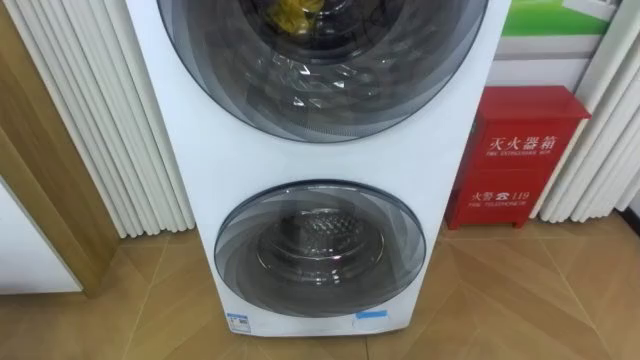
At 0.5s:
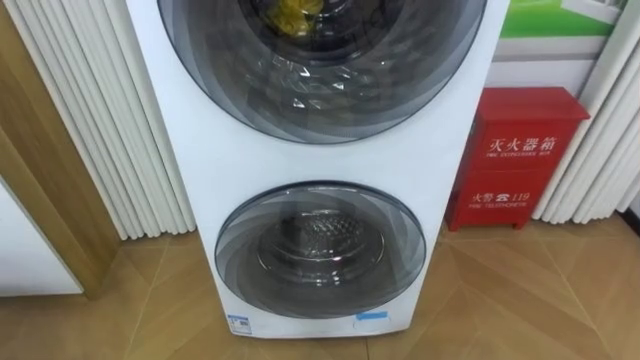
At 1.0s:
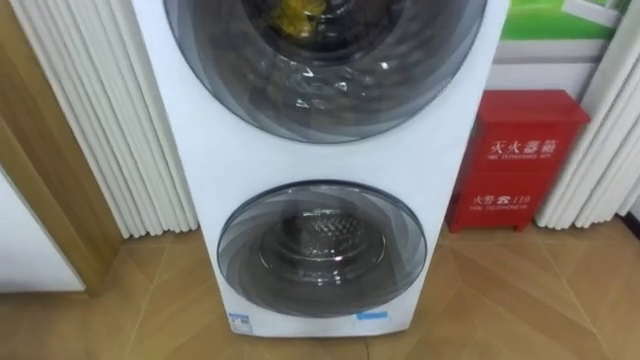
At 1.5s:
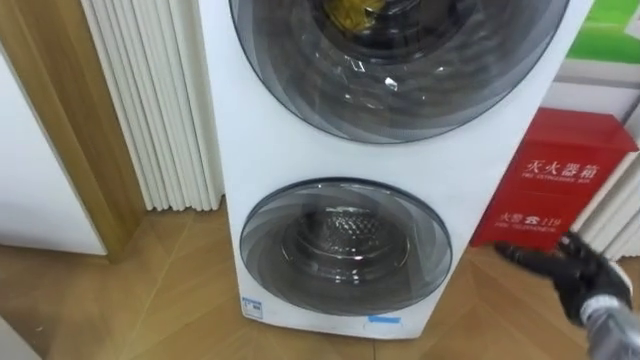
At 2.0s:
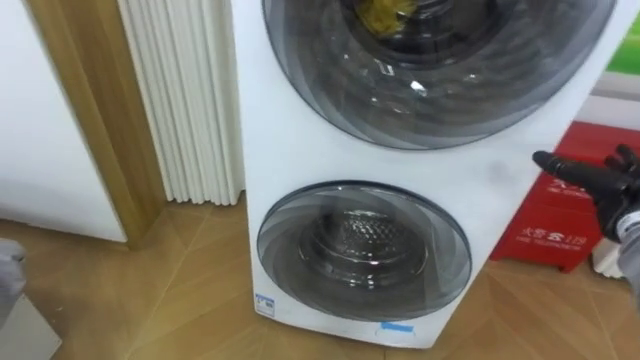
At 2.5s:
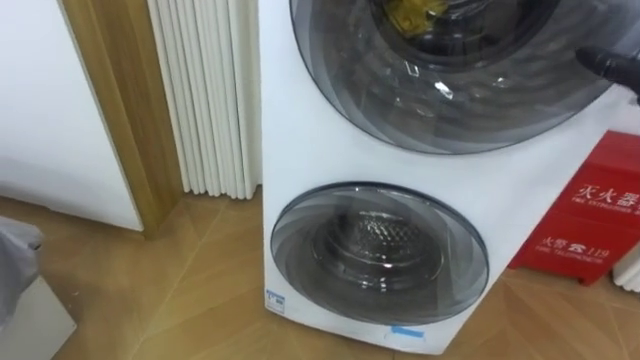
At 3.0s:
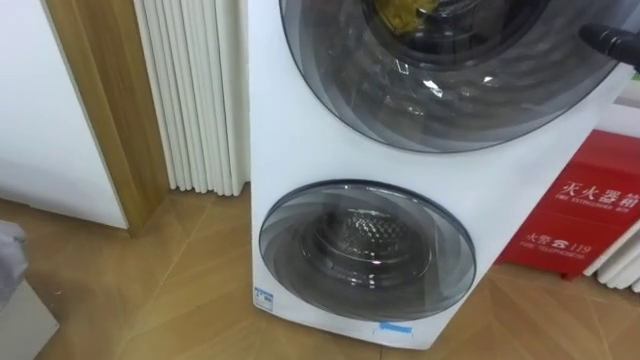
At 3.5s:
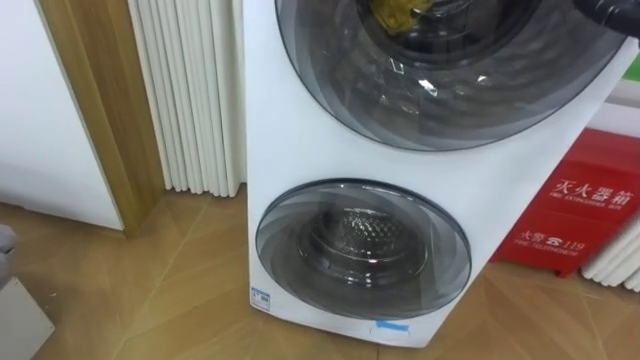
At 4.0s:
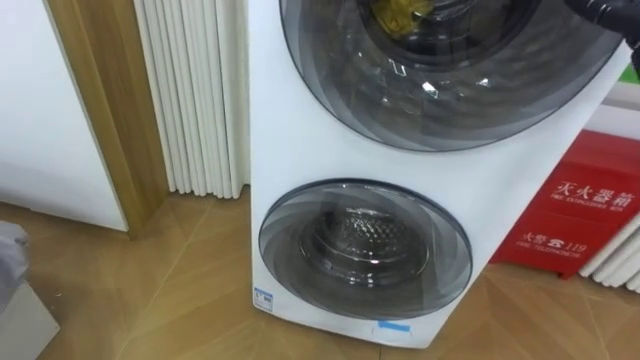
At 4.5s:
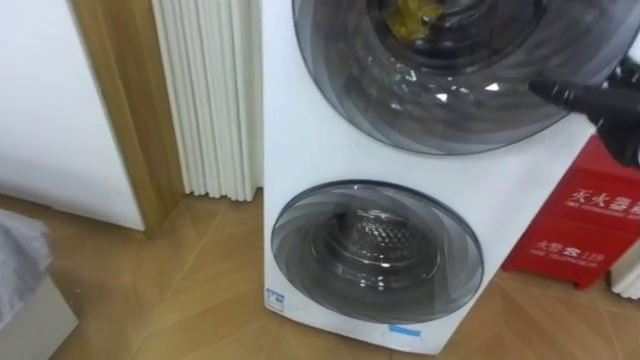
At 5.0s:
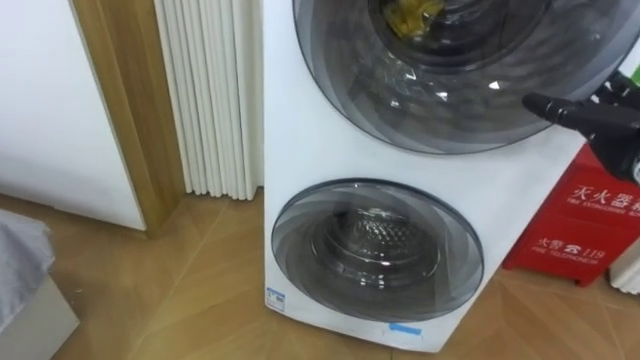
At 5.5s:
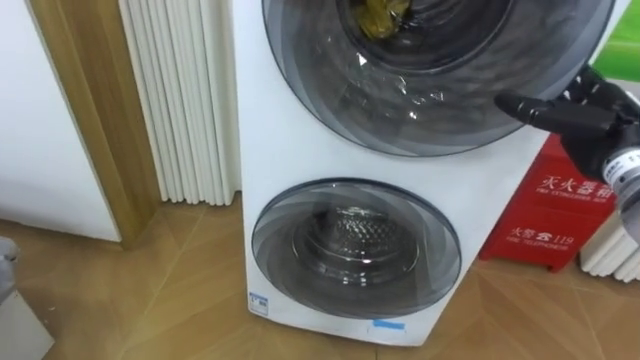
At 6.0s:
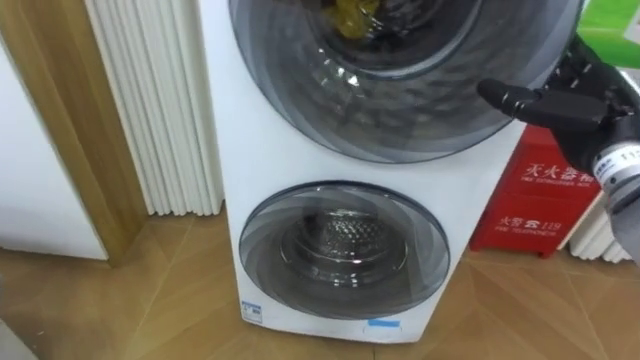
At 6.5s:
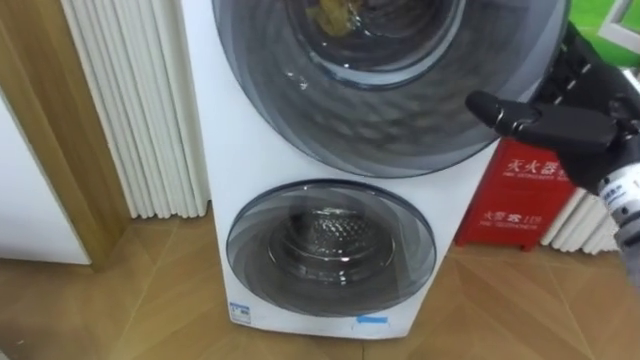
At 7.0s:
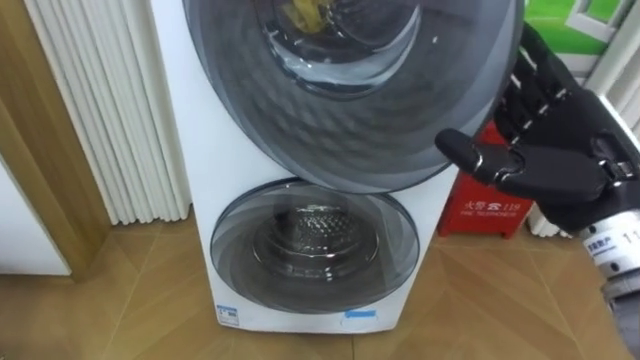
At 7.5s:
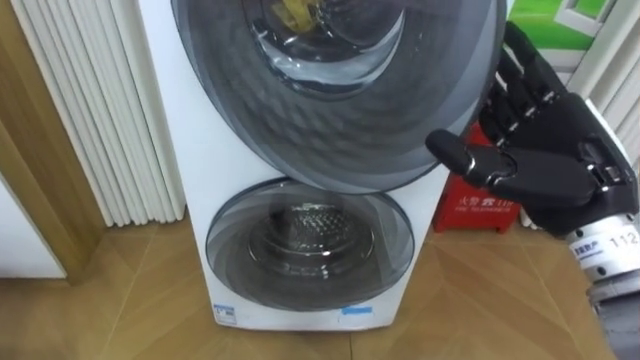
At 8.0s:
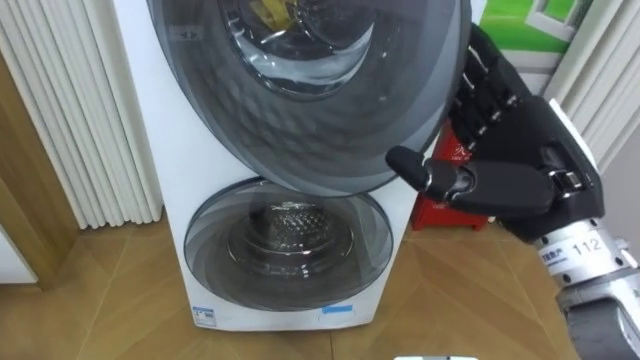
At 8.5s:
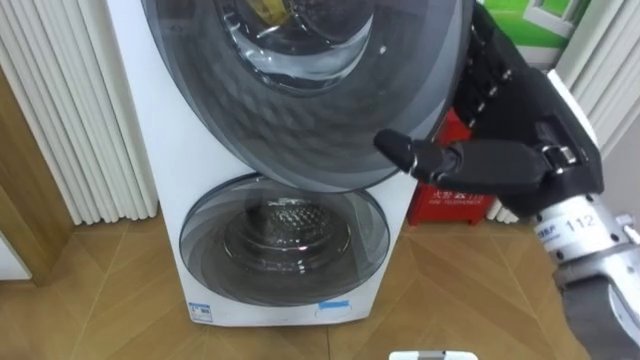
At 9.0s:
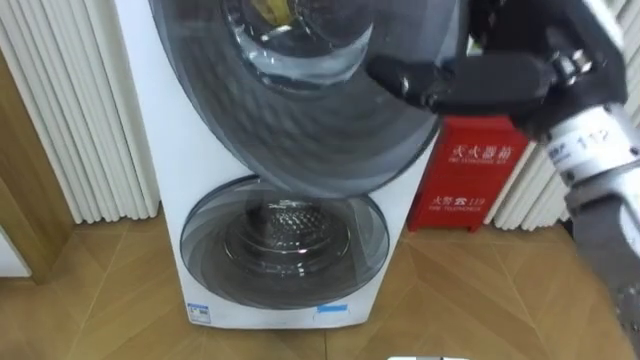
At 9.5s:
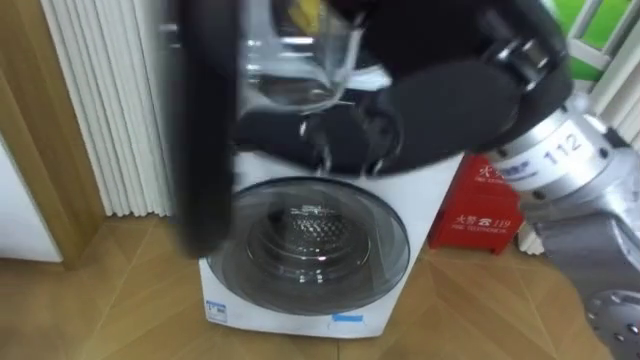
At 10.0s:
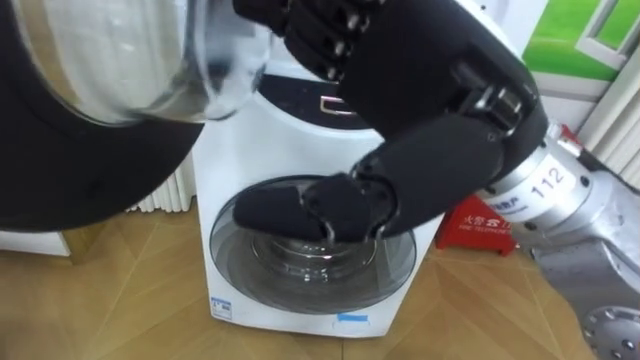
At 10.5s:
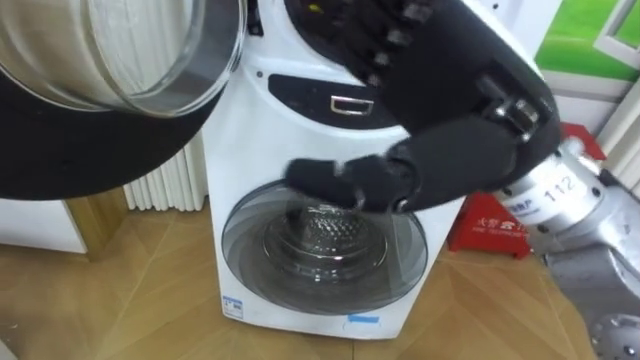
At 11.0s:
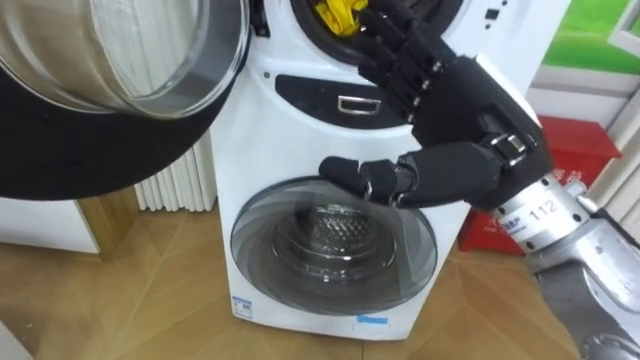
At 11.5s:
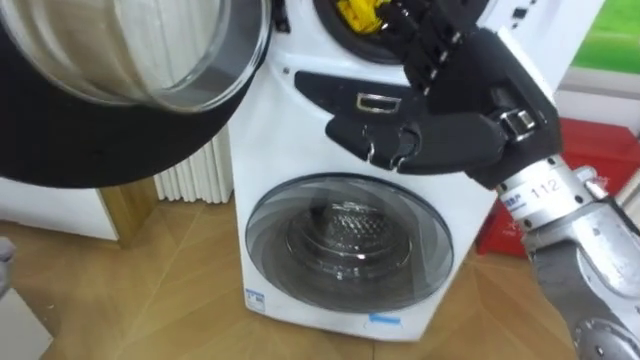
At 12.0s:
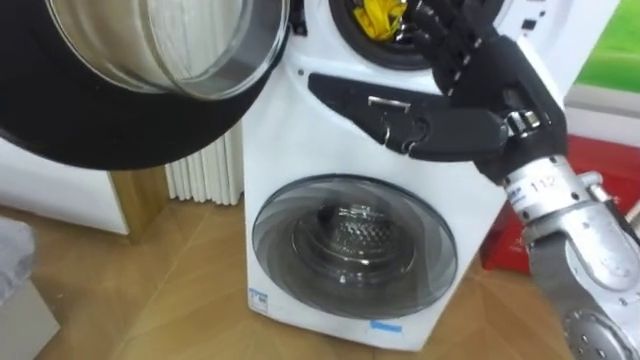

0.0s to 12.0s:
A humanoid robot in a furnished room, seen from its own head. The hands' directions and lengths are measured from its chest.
Task of the whole recording: Open the washing machine door, take out the yellow clothes, place them in the box on the right, and close the washing machine door.
6.0s to 8.0s: The right hand is displaced to the left and backward by roughly 15 cm.
8.0s to 10.0s: The right hand is displaced to the left, upward and backward by some 15 cm.
10.0s to 12.0s: The right hand travels to the right, forward and downward by about 15 cm.

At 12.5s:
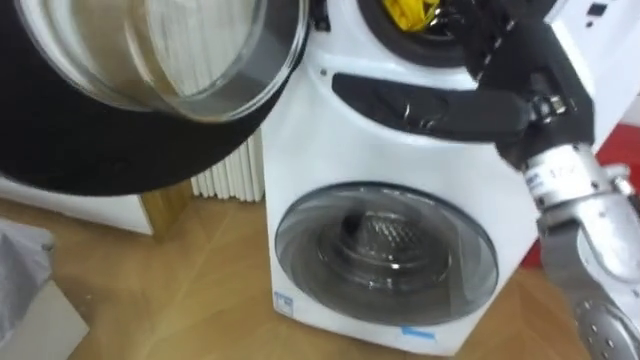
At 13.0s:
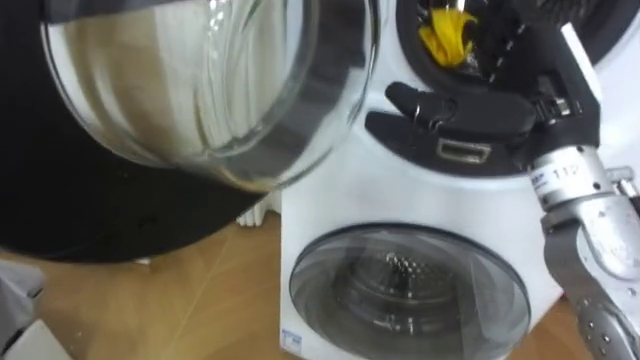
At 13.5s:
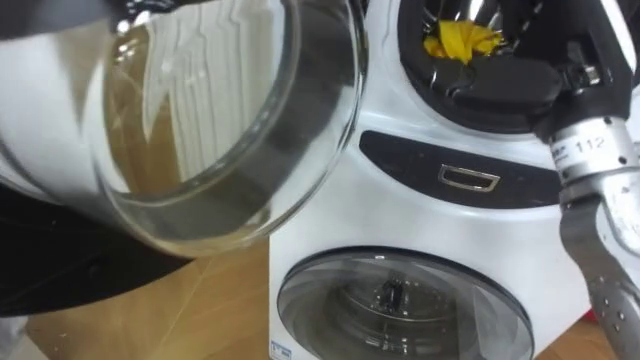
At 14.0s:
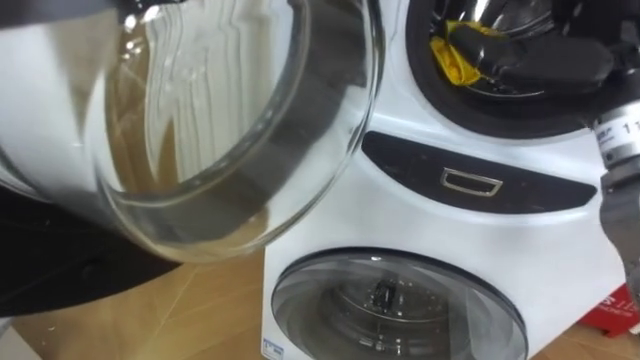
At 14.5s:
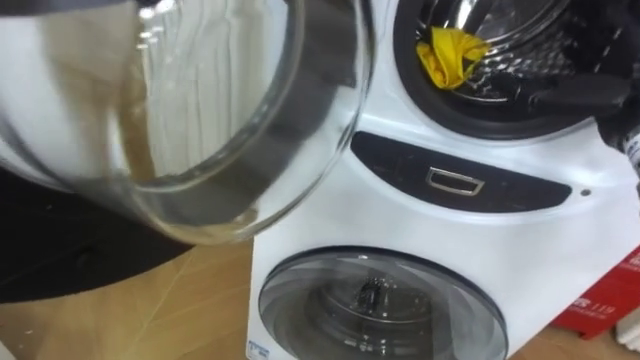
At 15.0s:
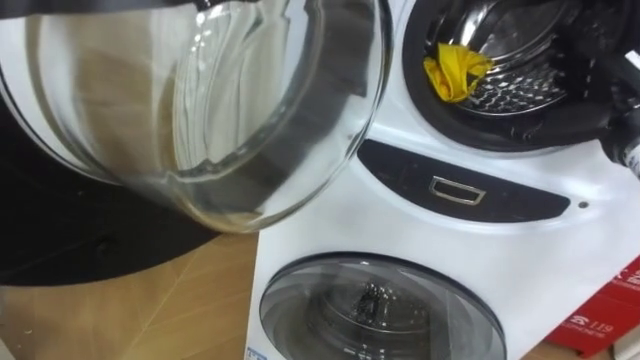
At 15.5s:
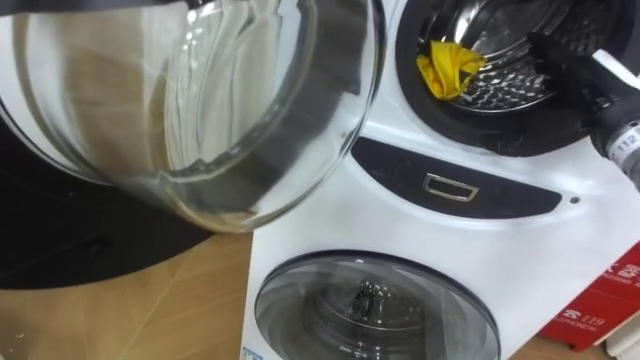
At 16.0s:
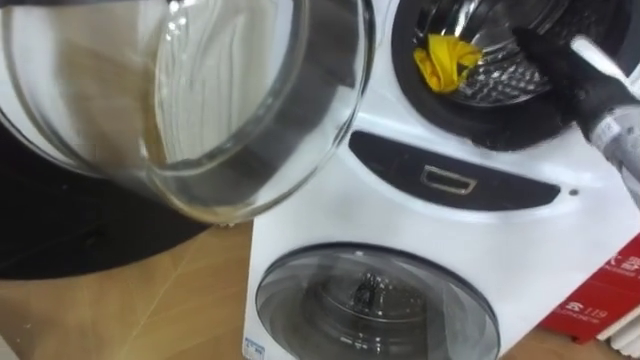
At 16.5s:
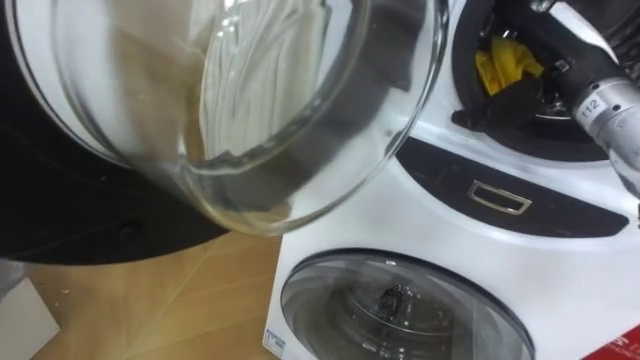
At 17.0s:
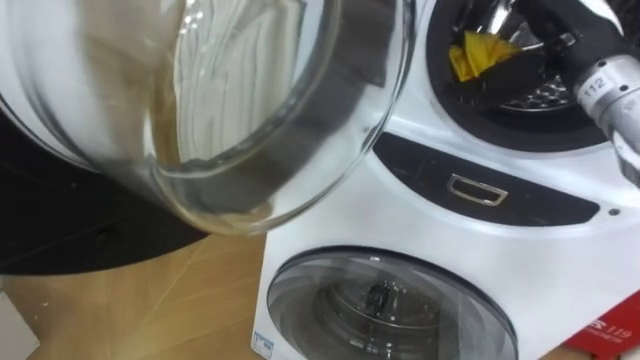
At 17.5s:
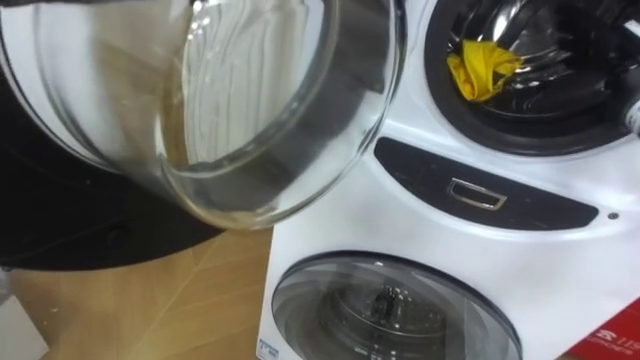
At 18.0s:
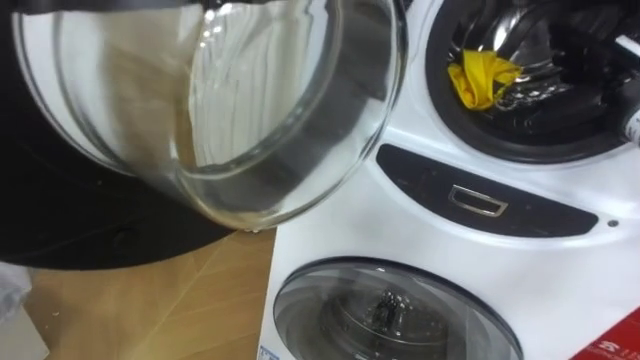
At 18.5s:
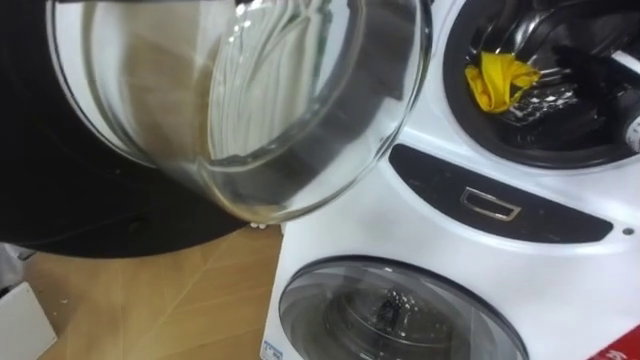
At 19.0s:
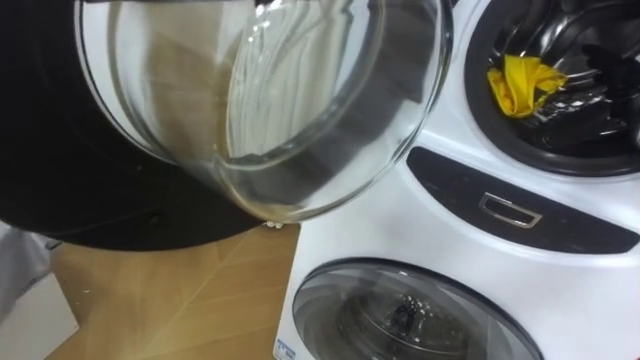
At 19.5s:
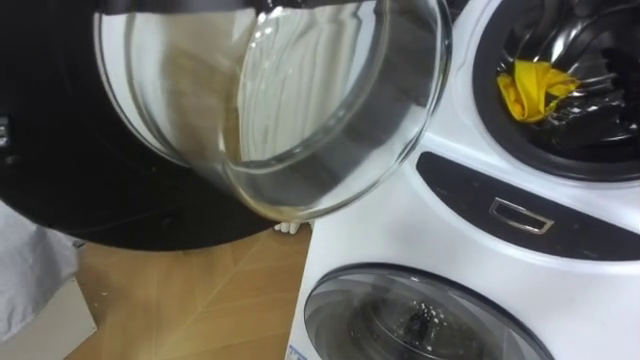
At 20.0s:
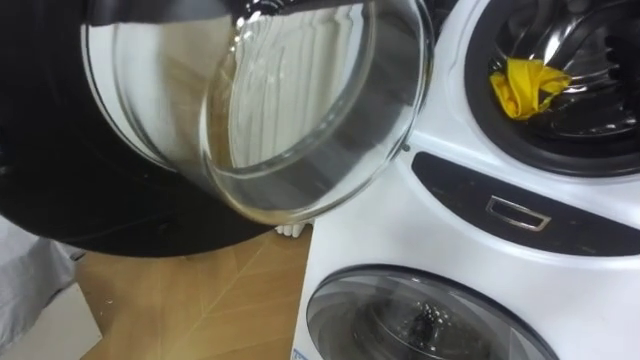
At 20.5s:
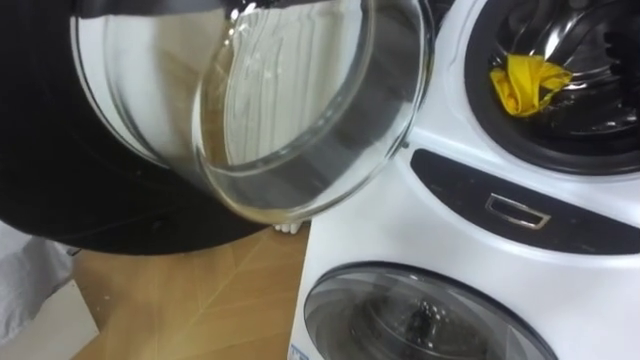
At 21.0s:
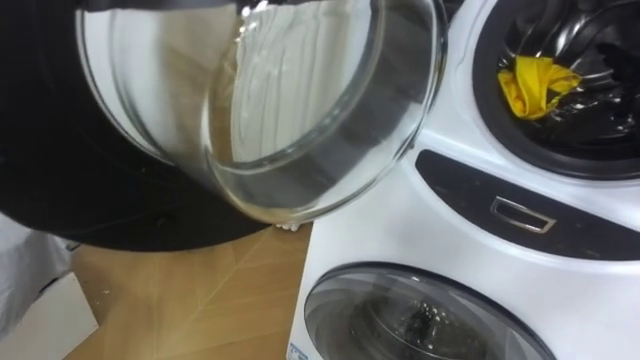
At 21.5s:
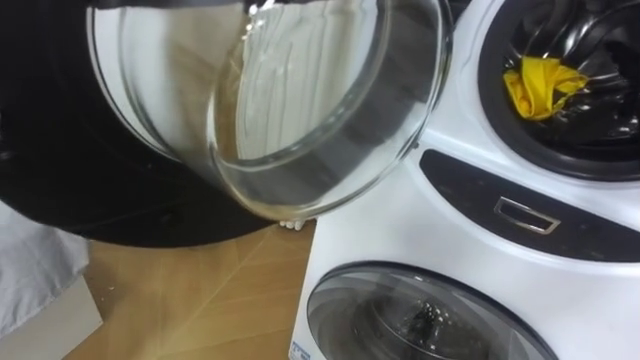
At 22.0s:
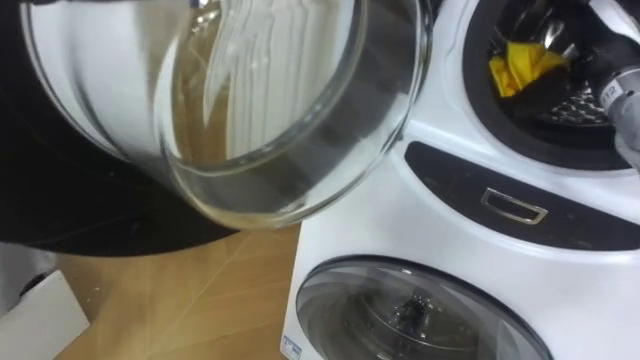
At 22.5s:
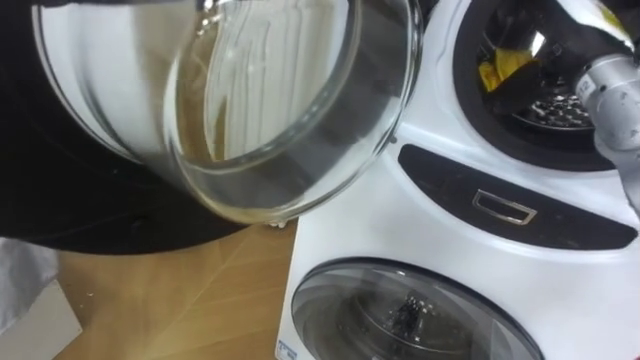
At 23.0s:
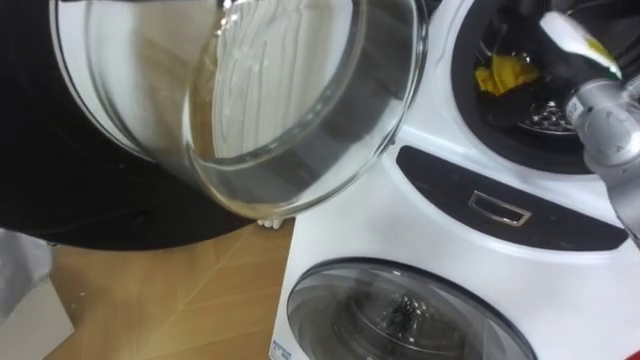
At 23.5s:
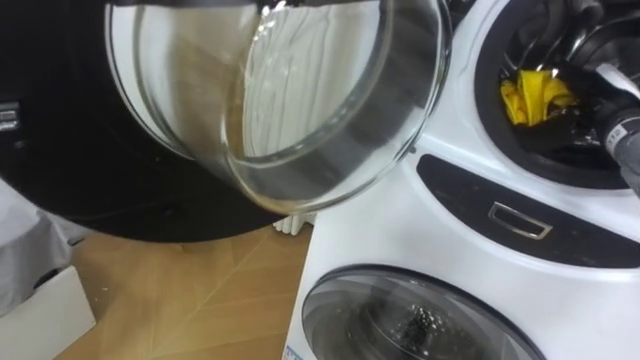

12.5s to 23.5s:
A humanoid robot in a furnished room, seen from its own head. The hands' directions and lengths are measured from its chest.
Task of the whole recording: Open the washing machine door, take out the yellow clothes, place them in the box on the right, and close the washing machine door.
12.5s to 14.5s: The right hand travels to the right and forward by about 15 cm.
